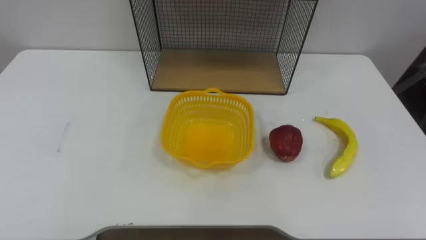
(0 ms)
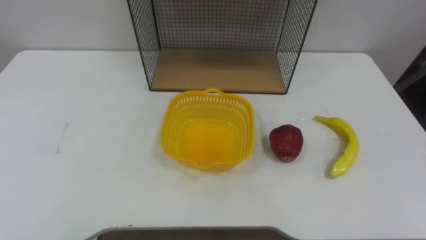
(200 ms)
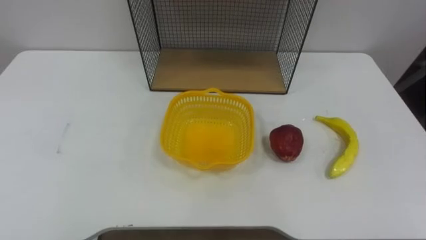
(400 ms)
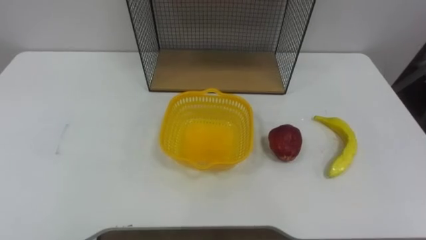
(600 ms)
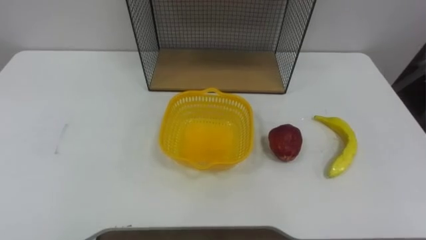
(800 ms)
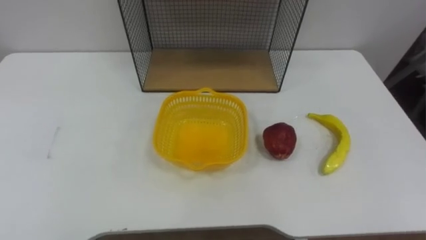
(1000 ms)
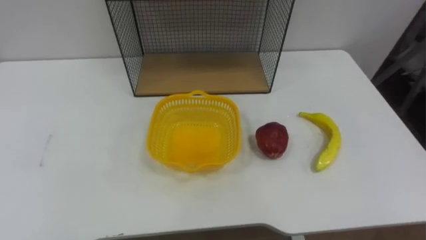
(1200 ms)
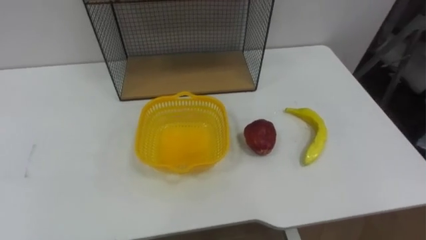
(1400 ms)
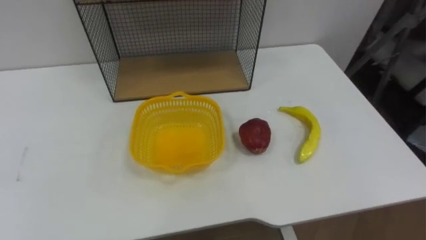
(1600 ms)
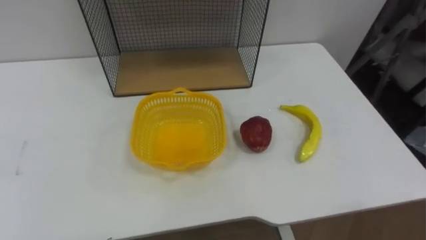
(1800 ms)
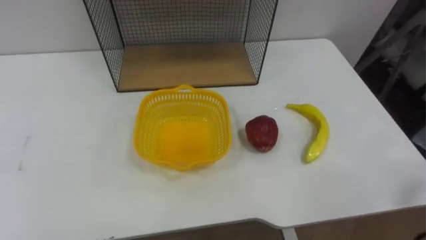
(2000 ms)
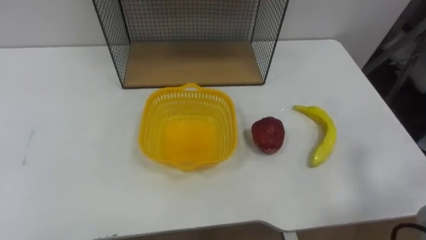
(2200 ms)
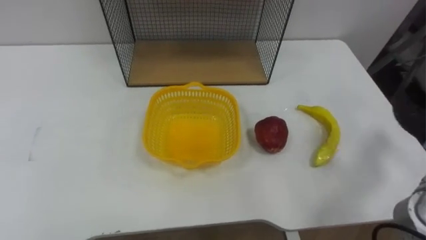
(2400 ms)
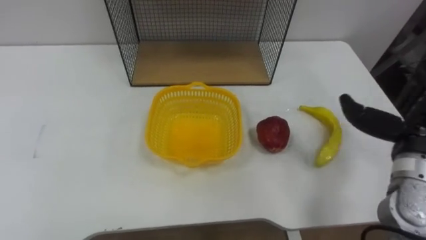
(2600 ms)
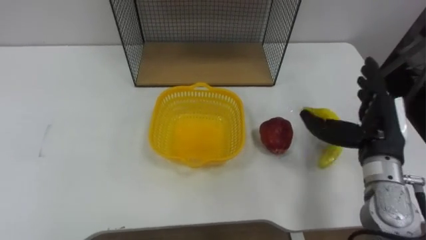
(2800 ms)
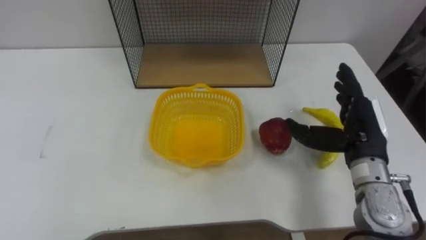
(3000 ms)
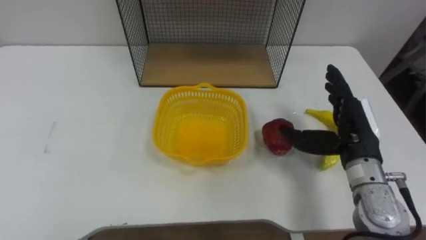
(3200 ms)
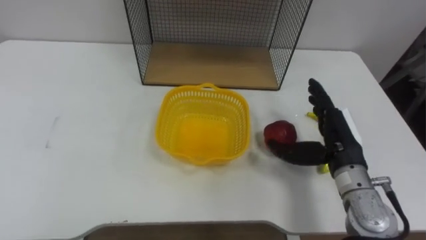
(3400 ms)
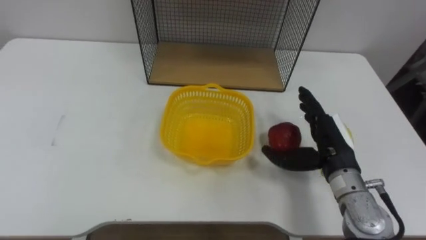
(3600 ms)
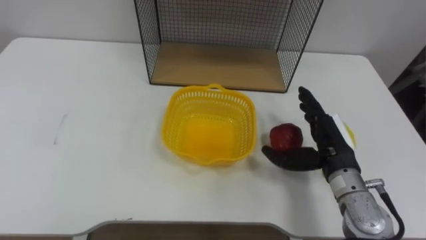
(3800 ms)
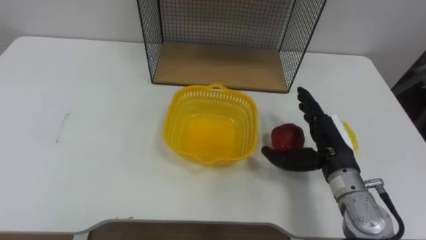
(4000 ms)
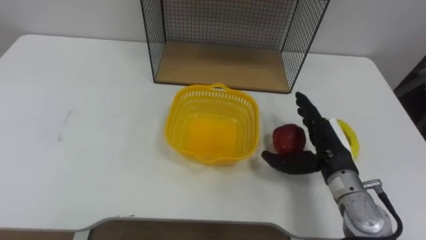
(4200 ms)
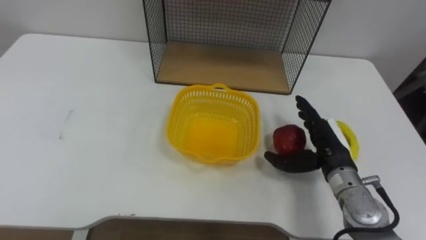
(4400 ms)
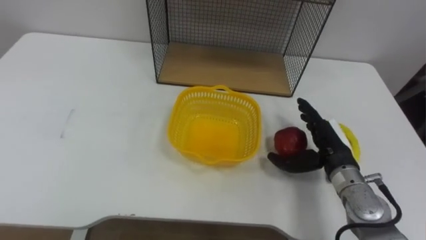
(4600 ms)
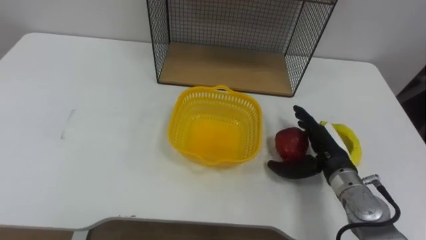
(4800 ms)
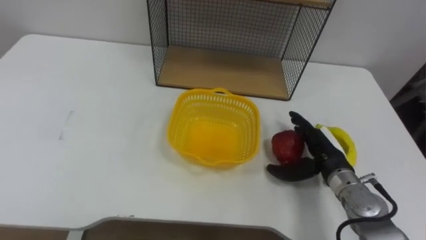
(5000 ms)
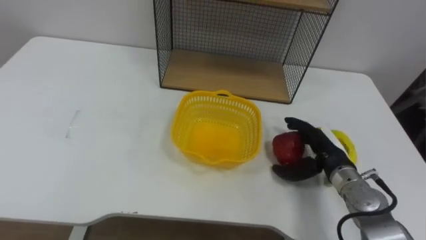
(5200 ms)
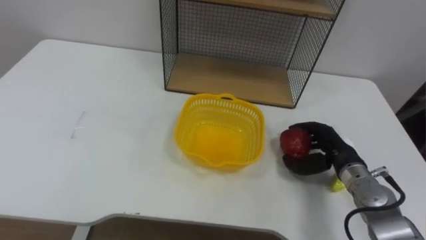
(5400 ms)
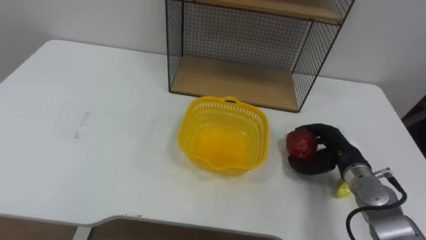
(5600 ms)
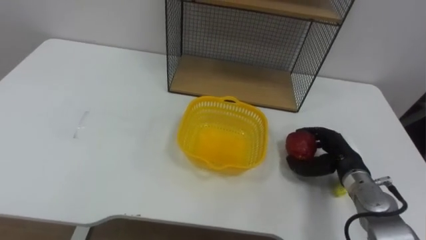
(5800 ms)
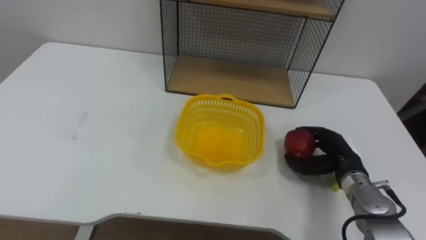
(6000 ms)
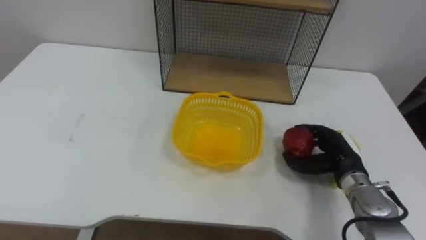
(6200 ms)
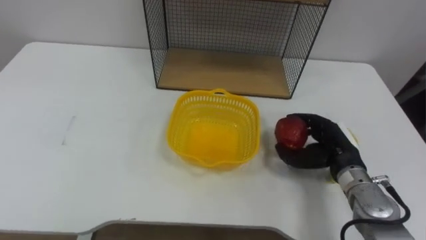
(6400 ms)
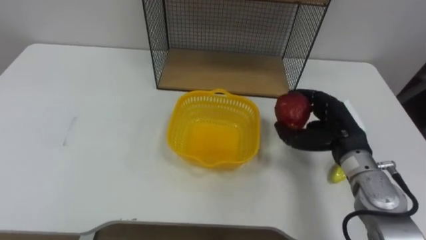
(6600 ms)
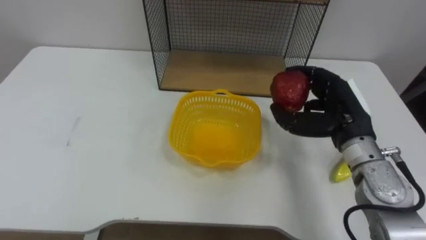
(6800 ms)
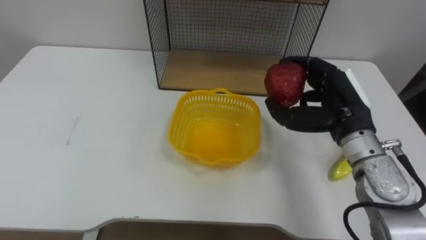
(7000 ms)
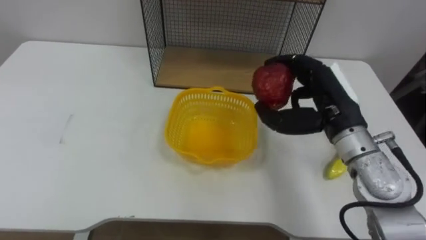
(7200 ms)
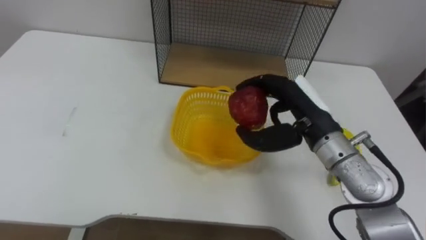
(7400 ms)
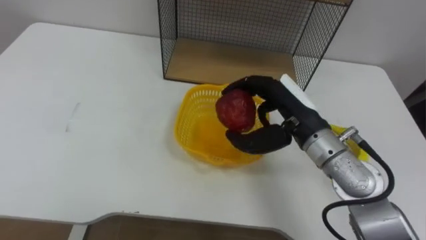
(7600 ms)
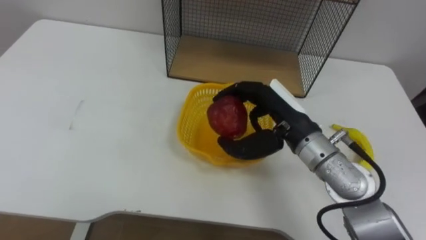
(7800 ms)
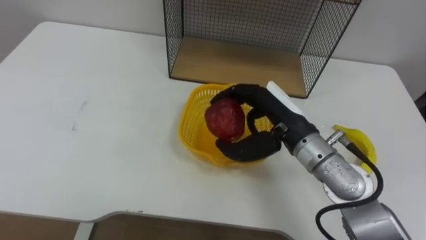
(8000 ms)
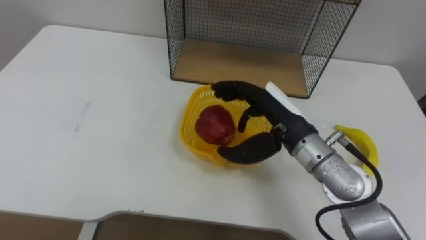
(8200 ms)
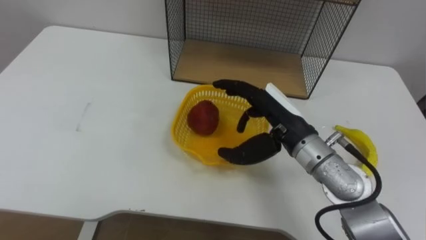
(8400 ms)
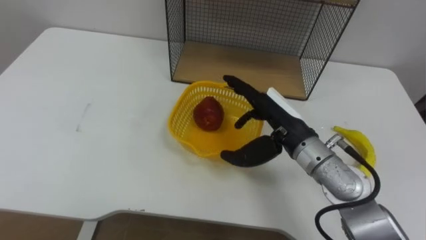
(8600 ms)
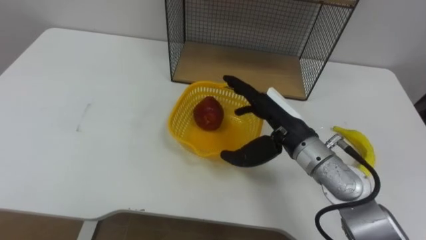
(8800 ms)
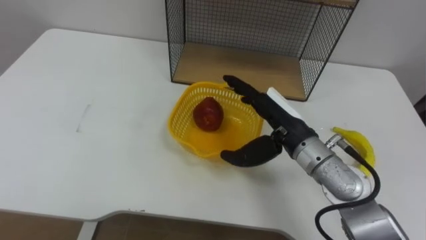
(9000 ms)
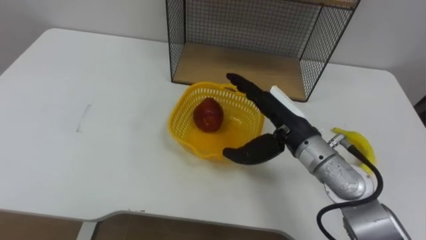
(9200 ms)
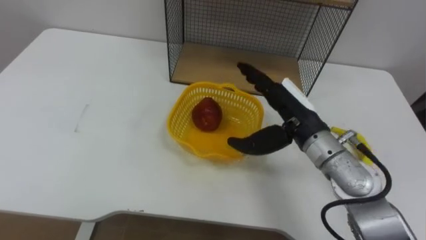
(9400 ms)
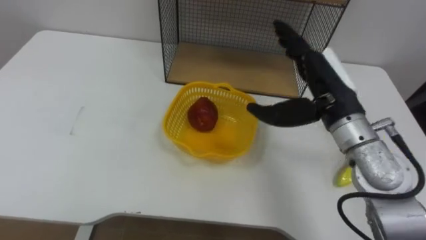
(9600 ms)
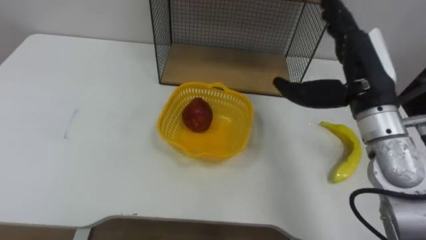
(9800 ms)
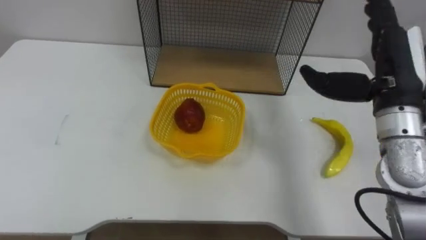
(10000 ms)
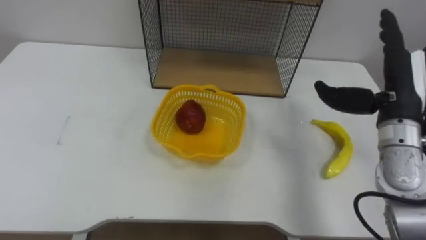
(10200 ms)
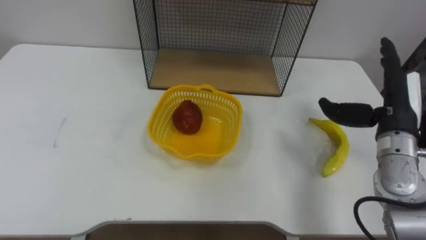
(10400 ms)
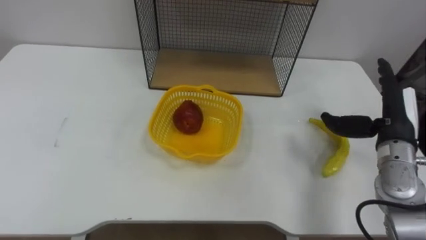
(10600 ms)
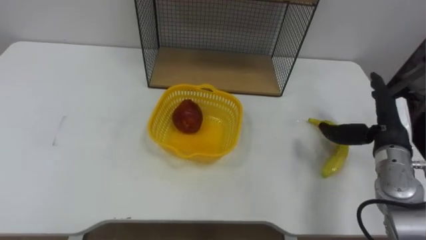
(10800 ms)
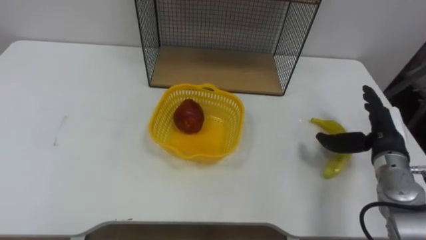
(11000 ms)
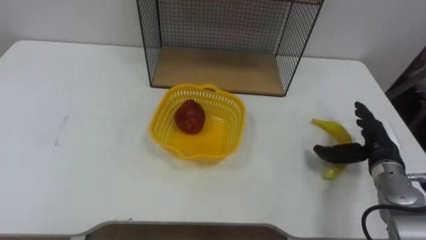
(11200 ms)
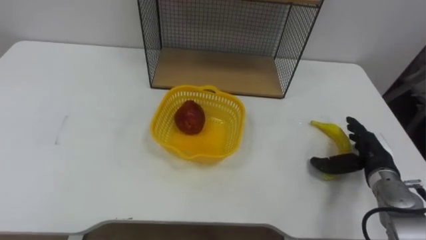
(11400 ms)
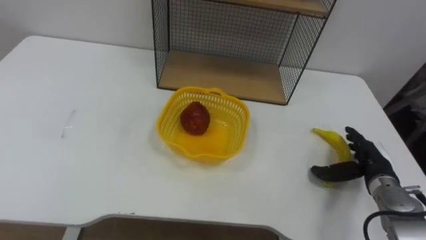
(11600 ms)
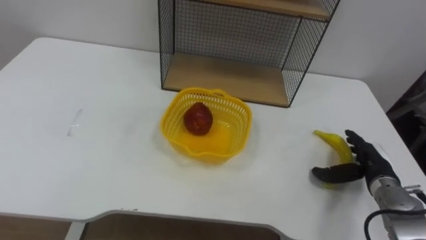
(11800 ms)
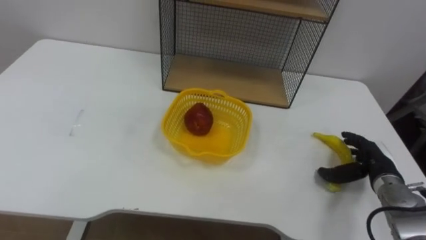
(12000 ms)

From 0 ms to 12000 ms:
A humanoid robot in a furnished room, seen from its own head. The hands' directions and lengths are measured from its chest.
Task of the whole recording: Put the fruit on the table into the basket, then place the basket on the shelf.
From 3000 ms to 4400 ms: The right hand is displaced downward by approximately 5 cm.
From 4400 ms to 6000 ms: The right hand goes roughly 5 cm downward, and closes.
From 6000 ms to 7600 ms: The right hand moves upward and to the left, about 20 cm.
From 7600 ms to 9000 ms: The right hand opens up.
From 9000 ms to 10400 ms: The right hand moves to the right, some 20 cm.
From 10400 ms to 12000 ms: The right hand heads downward, covering approximately 15 cm.

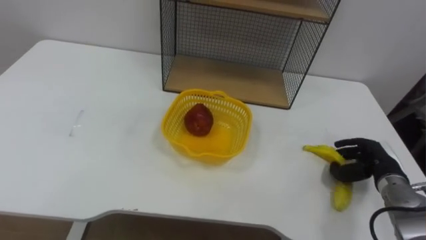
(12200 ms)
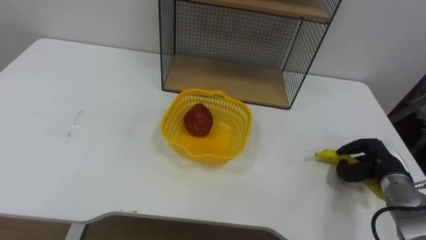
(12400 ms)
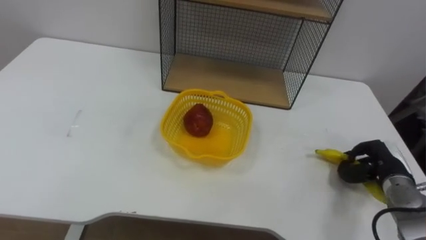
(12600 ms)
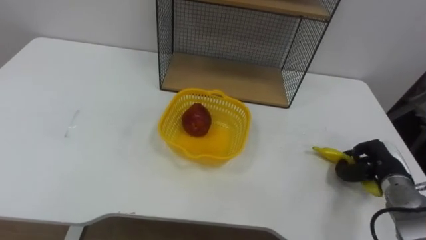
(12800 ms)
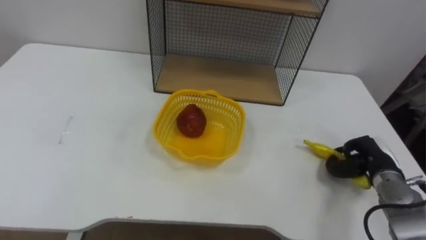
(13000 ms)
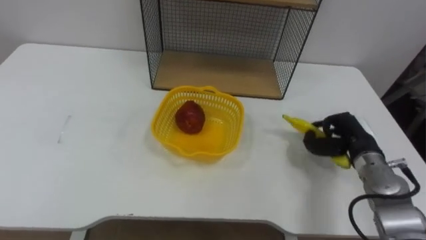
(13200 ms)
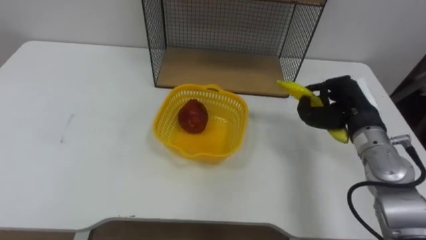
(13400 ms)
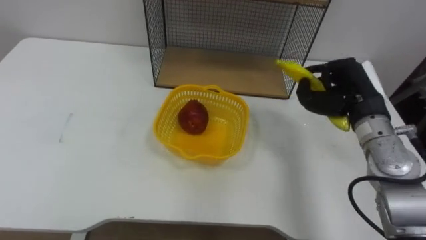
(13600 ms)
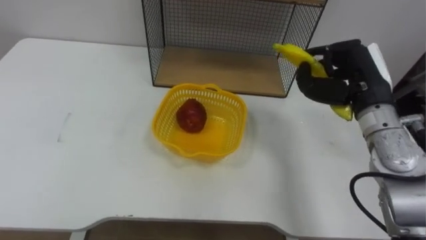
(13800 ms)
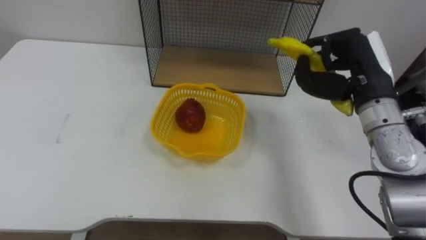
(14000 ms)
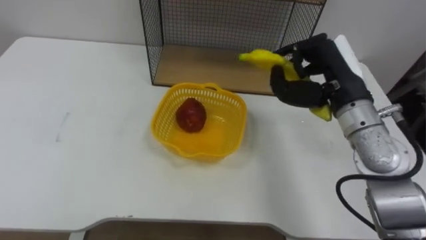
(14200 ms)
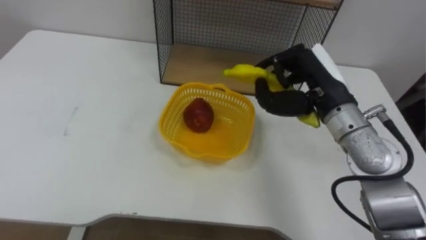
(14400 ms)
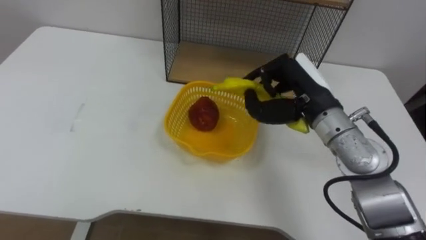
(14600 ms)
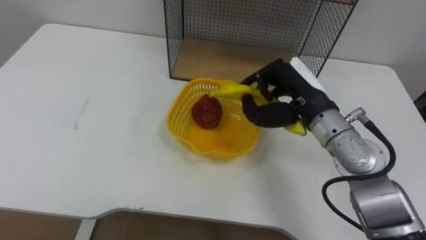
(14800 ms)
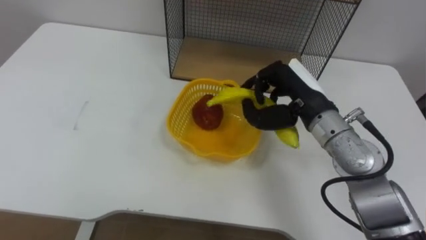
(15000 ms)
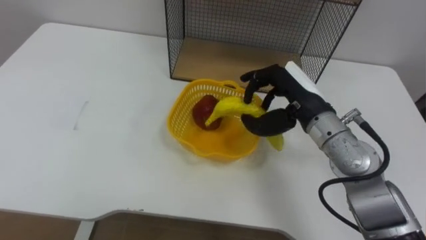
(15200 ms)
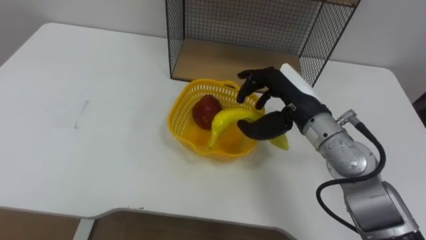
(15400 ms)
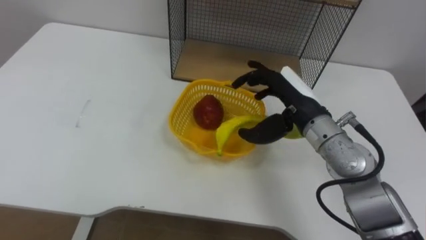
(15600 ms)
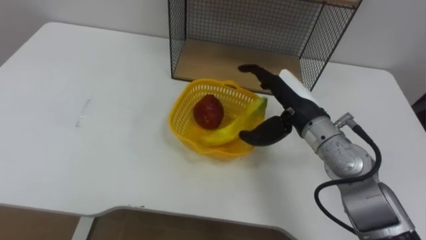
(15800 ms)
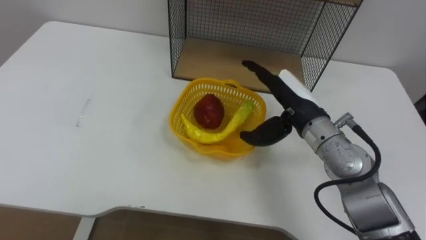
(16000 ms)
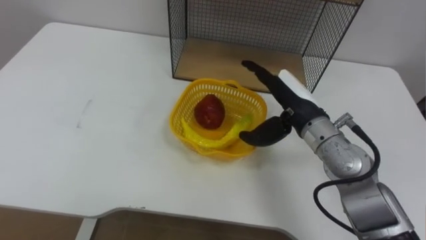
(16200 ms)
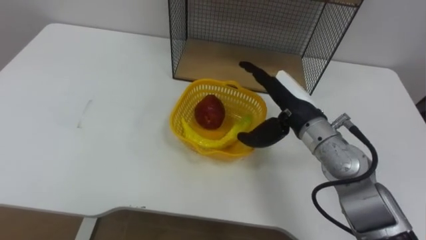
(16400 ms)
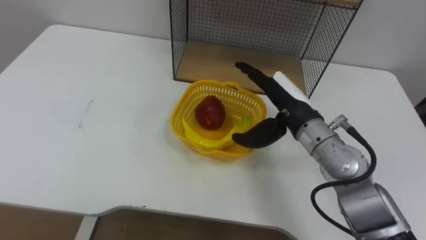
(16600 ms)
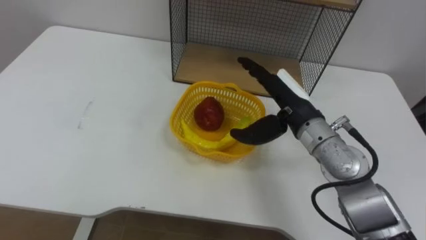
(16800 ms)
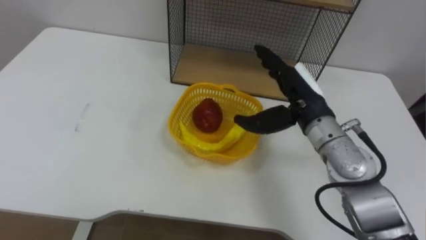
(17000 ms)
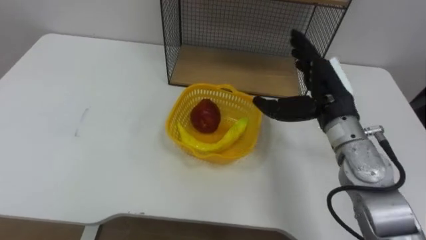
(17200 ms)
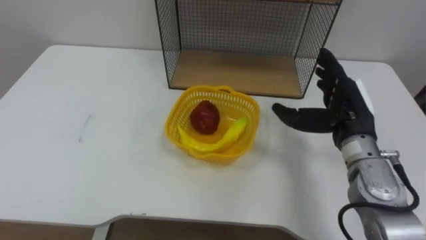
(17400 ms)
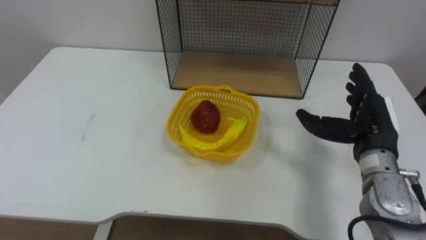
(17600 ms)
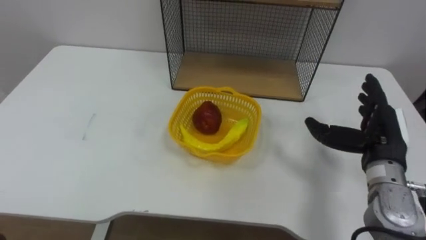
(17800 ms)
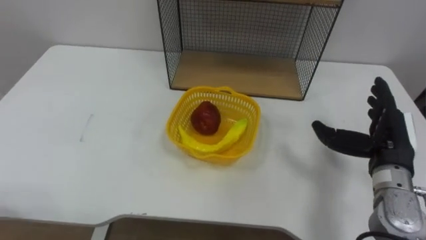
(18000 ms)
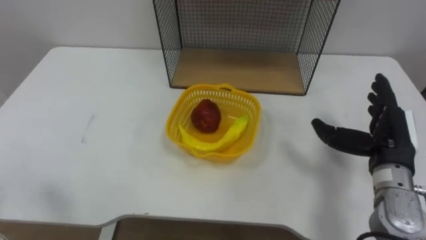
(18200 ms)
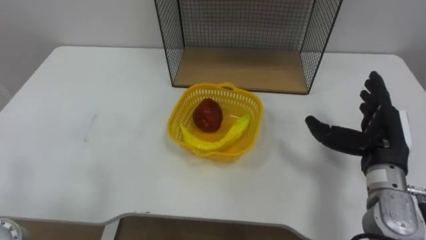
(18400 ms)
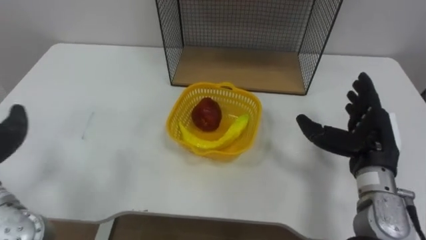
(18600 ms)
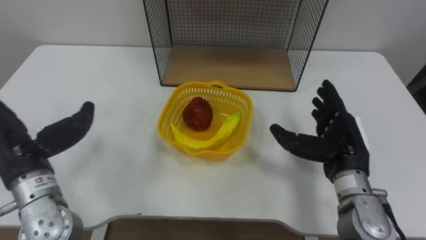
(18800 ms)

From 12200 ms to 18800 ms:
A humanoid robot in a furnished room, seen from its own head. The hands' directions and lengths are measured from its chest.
Task of the whole recording: Put the fruit on the table into the basket, then place the basket on the shelf.
From 12200 ms to 13800 ms: The right hand travels upward and to the left by some 20 cm, and closes.
From 13800 ms to 15400 ms: The right hand moves to the left, approximately 10 cm, and opens up.
From 15400 ms to 17200 ms: The right hand opens.
From 17200 ms to 18800 ms: The right hand moves downward and backward, approximately 10 cm.
